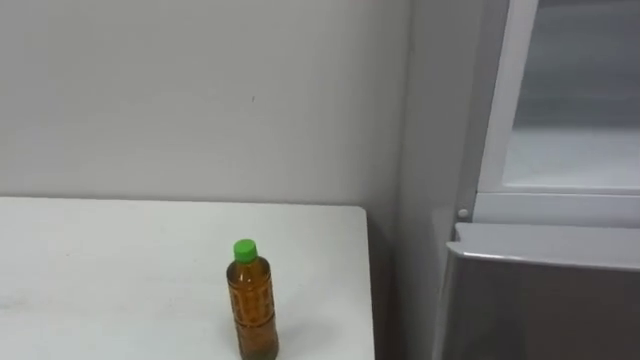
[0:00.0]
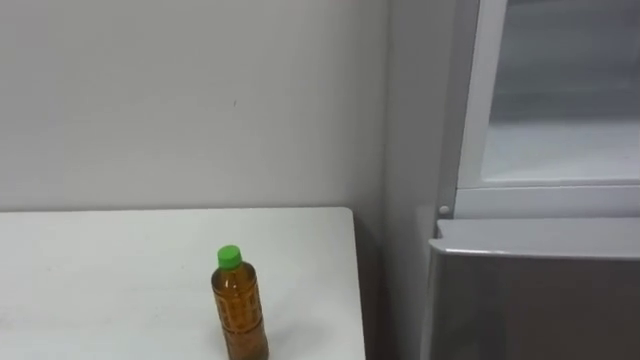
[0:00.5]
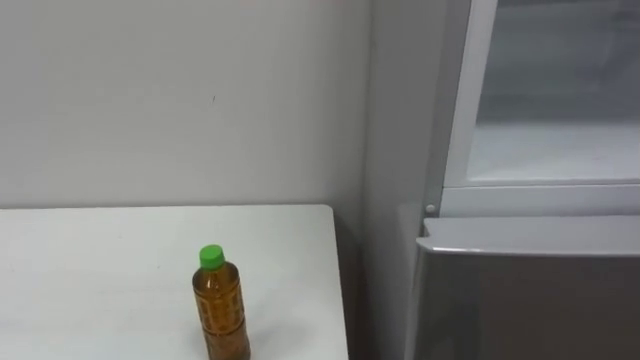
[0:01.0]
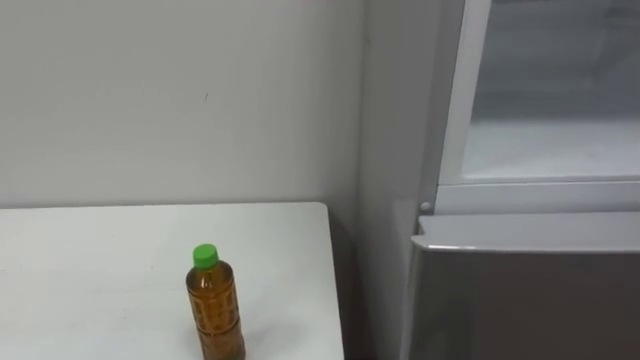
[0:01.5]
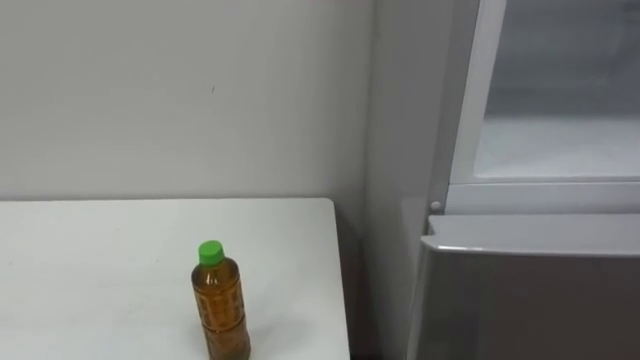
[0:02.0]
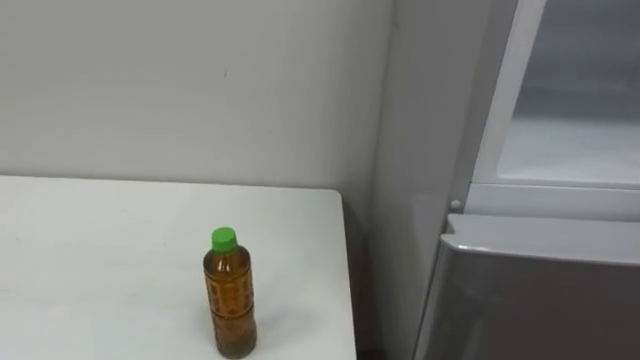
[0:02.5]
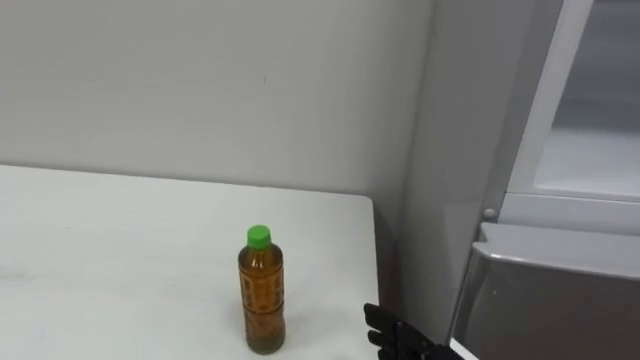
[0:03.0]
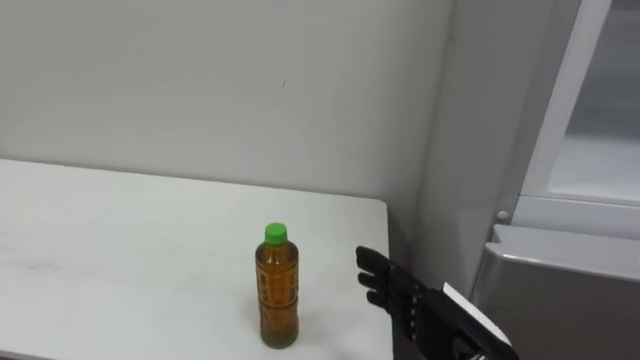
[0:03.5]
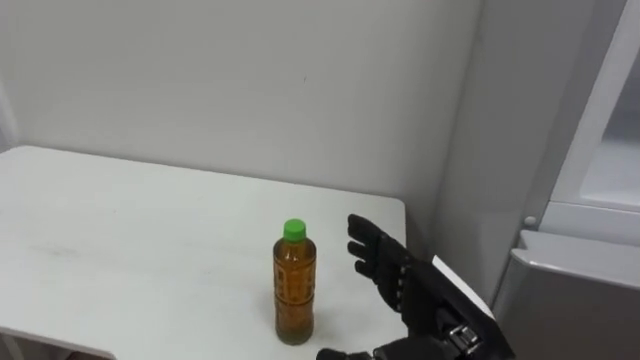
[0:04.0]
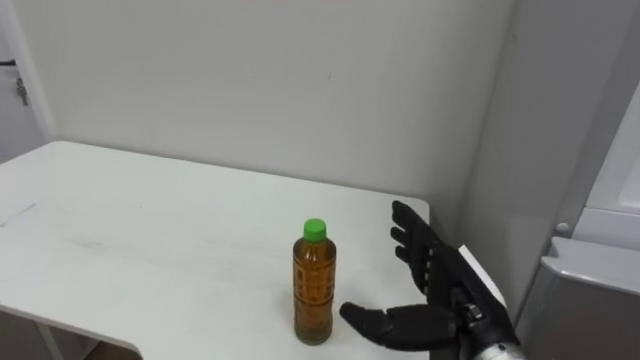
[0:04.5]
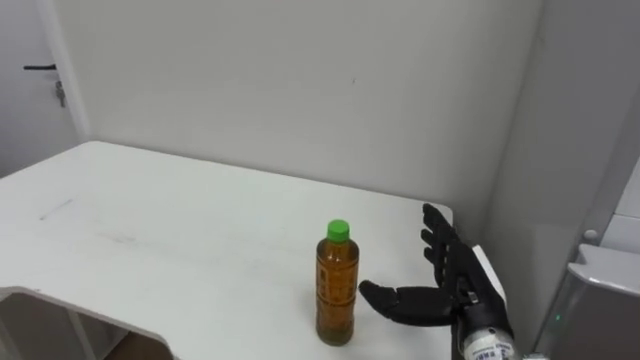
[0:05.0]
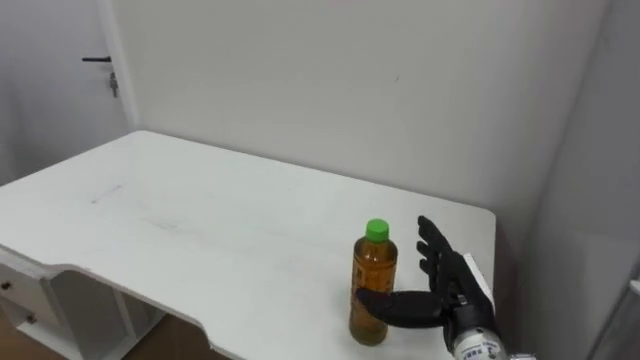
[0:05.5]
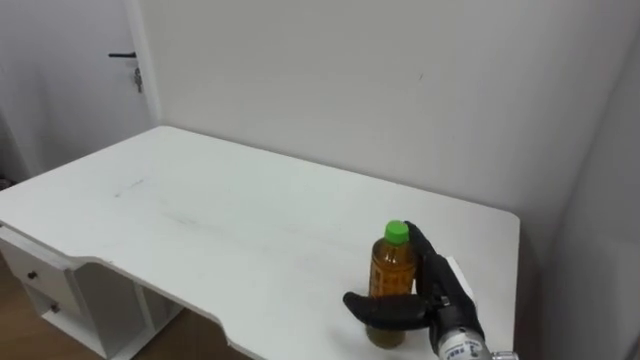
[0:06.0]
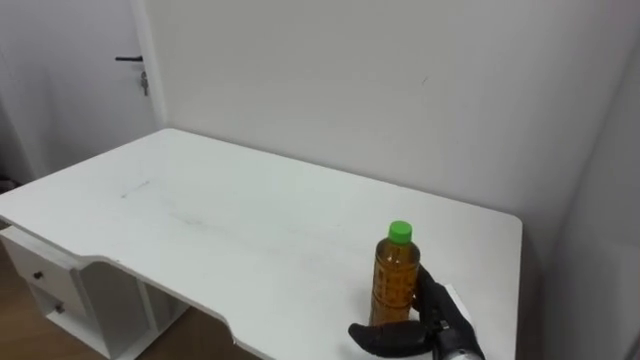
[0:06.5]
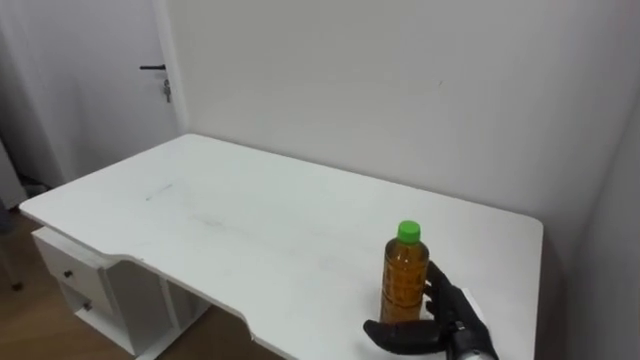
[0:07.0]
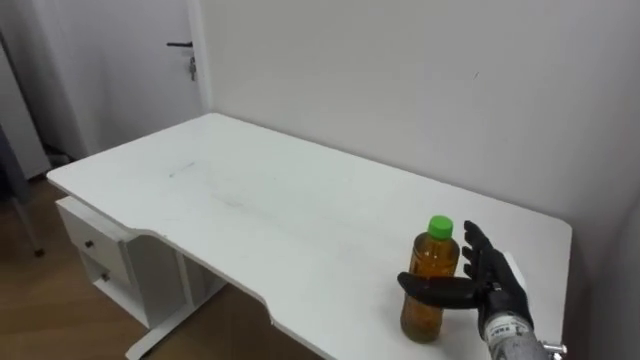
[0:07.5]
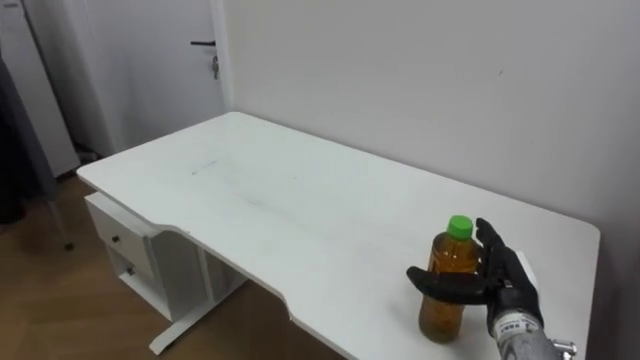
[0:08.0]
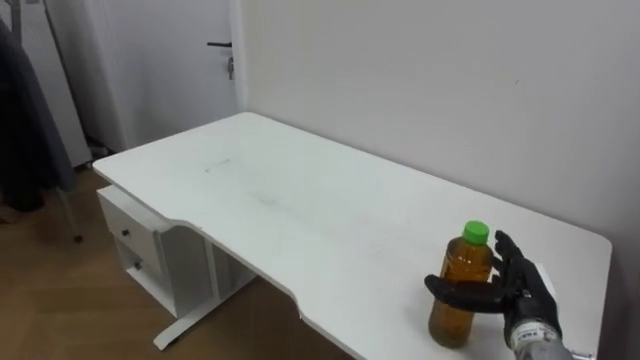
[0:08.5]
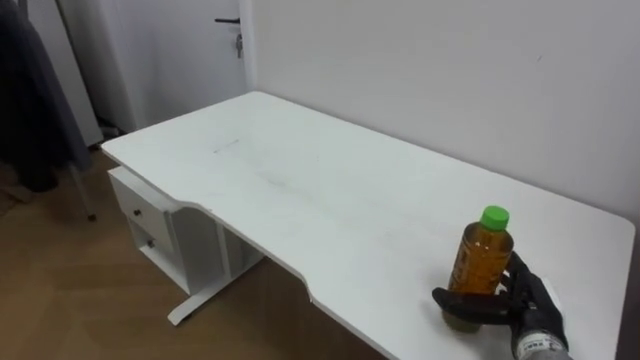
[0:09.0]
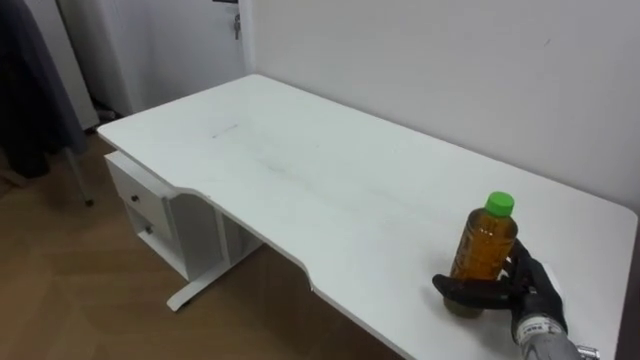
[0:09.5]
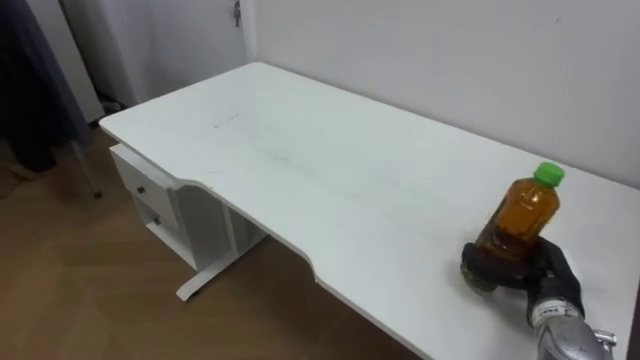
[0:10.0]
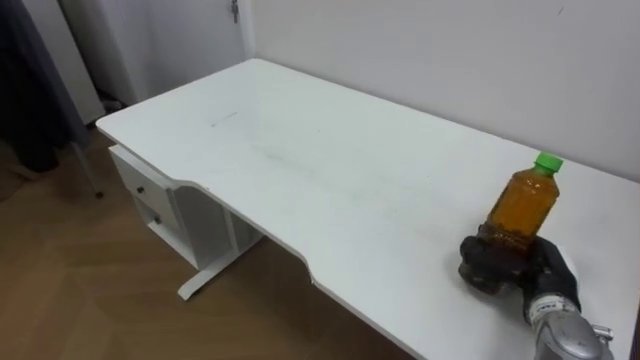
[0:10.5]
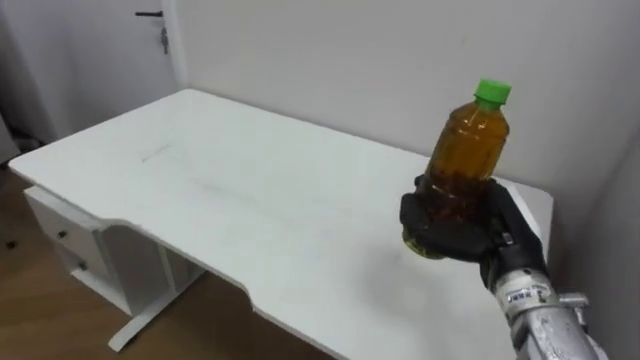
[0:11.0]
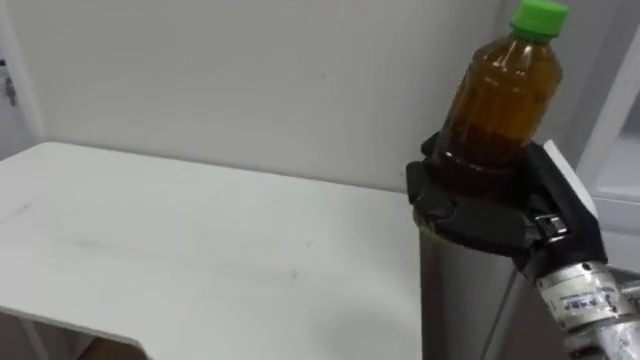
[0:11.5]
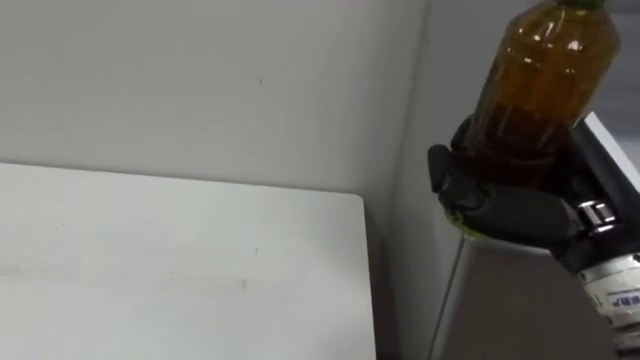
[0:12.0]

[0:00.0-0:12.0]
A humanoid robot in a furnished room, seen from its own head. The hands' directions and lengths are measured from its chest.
Task of the whole recording: Open the upper refrigerator door, put the drink from the table into the refrigerator, and then close the refrigerator door.
0:04.0 to 0:06.0: The right hand travels forward and downward by approximately 10 cm.
0:06.0 to 0:08.0: The right hand goes about 10 cm to the right.
0:08.0 to 0:10.0: The right hand is displaced to the right by roughly 5 cm.
0:10.0 to 0:12.0: The right hand moves upward and backward, some 25 cm, and closes.

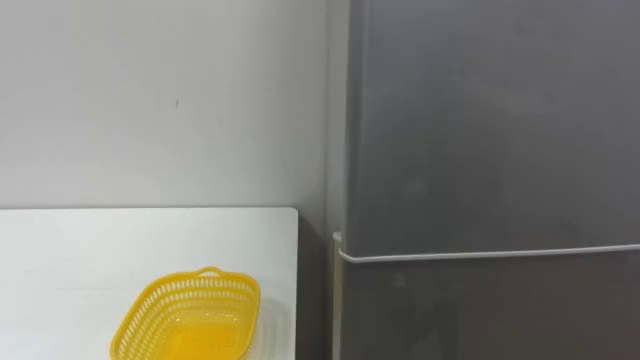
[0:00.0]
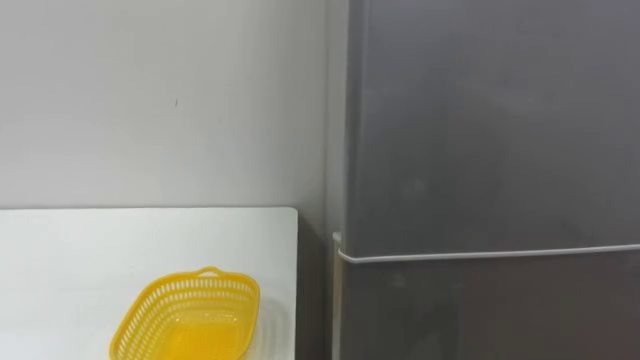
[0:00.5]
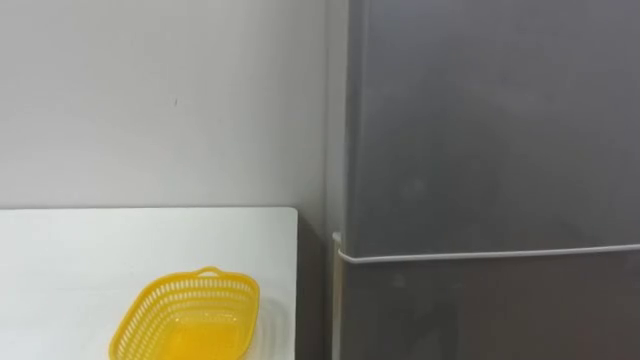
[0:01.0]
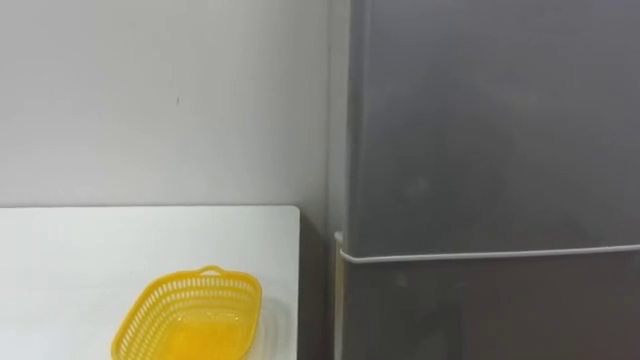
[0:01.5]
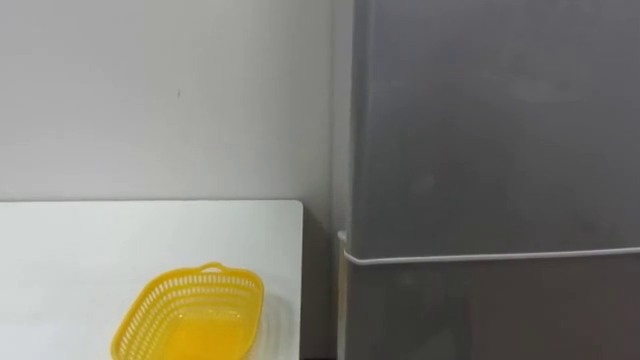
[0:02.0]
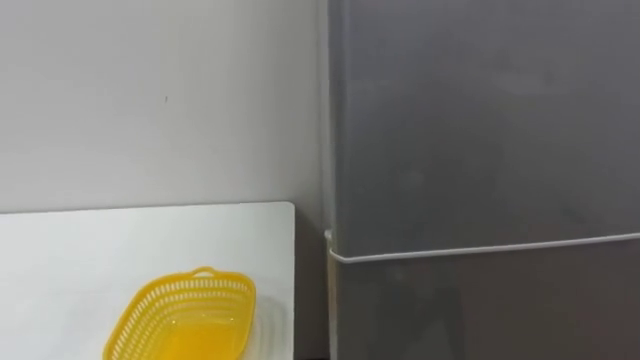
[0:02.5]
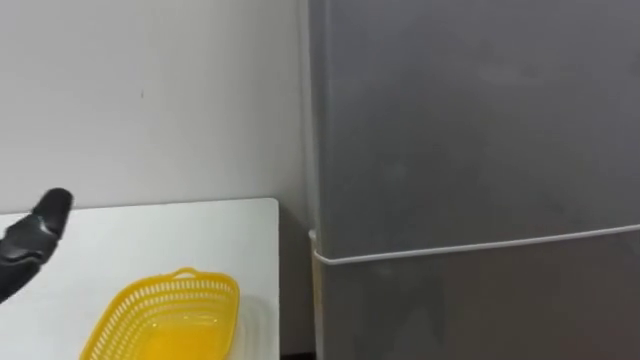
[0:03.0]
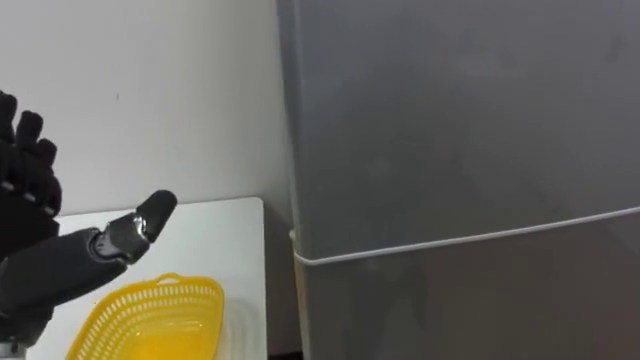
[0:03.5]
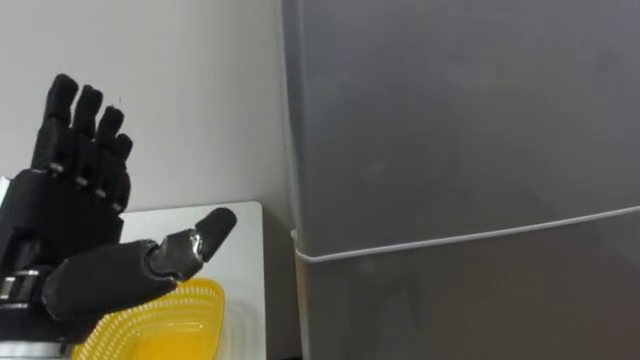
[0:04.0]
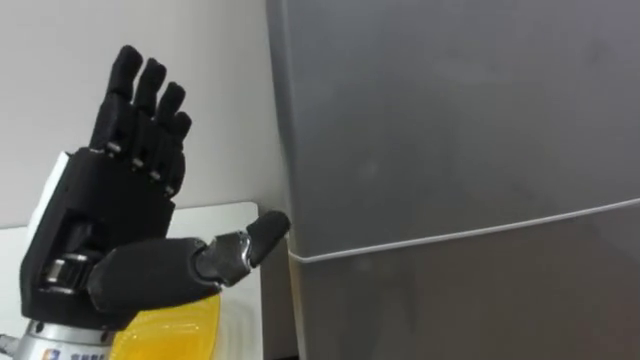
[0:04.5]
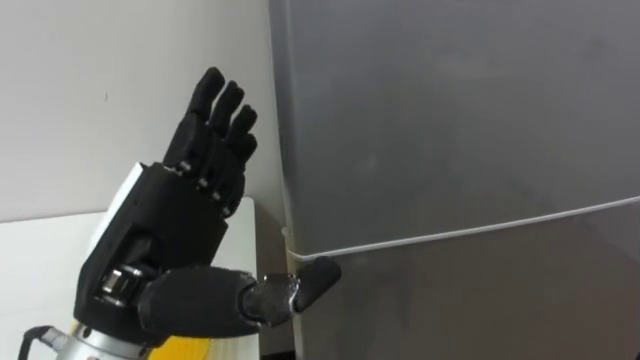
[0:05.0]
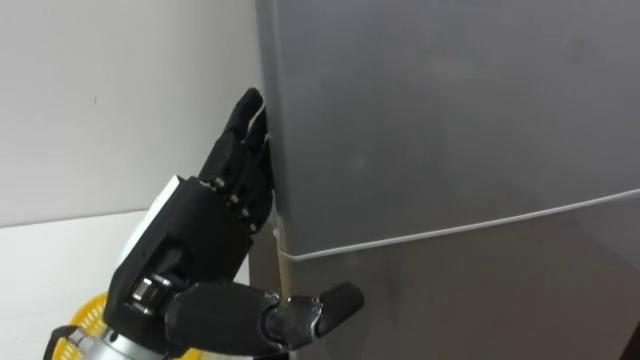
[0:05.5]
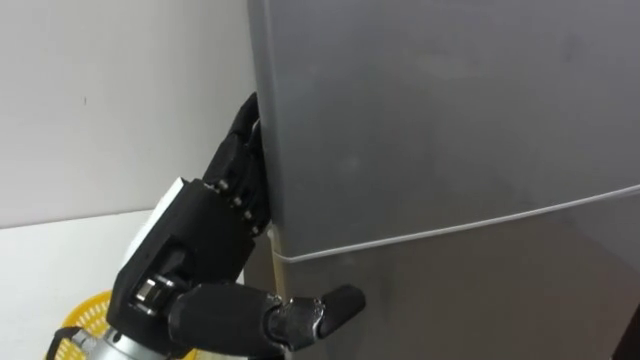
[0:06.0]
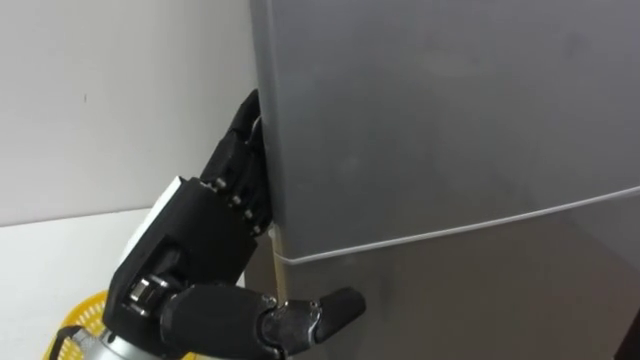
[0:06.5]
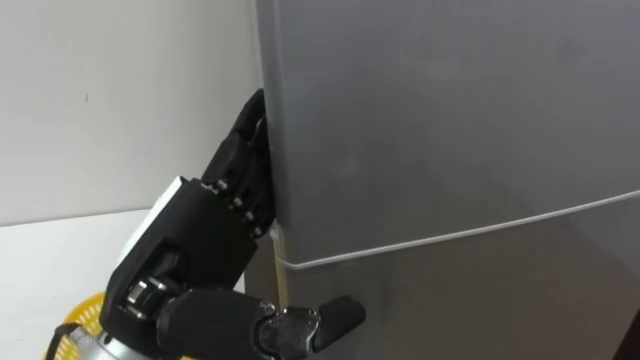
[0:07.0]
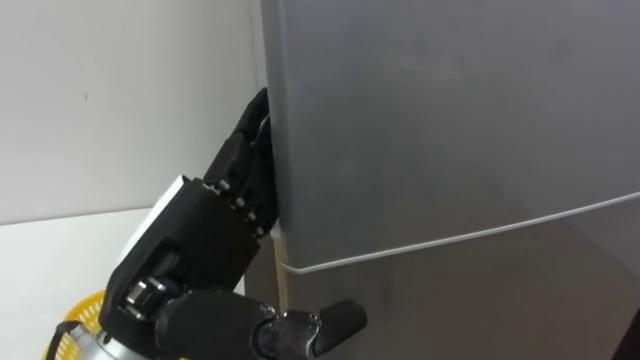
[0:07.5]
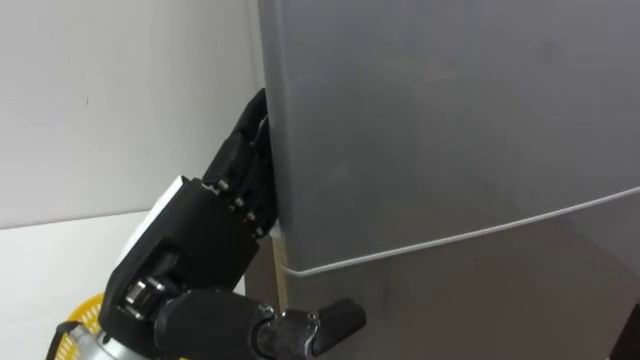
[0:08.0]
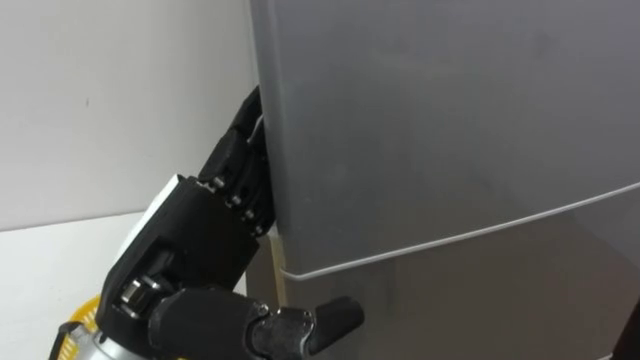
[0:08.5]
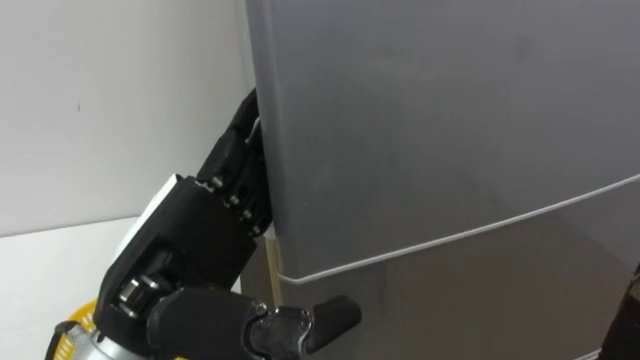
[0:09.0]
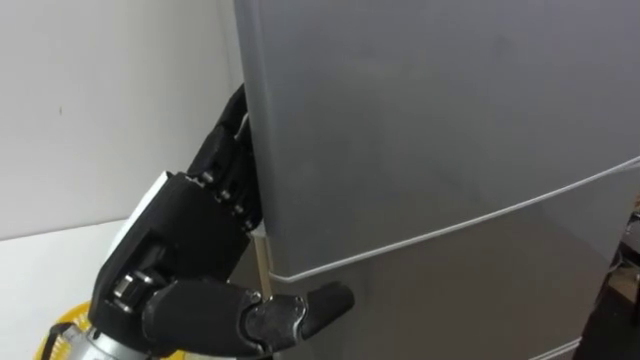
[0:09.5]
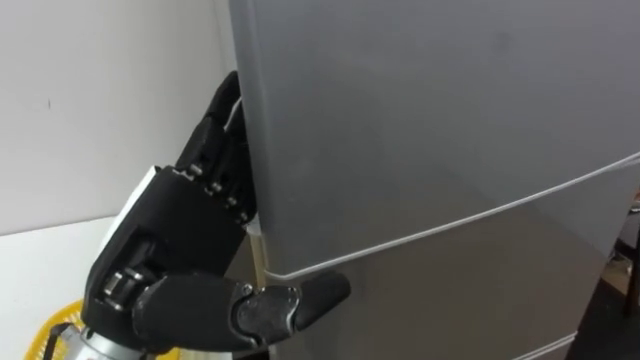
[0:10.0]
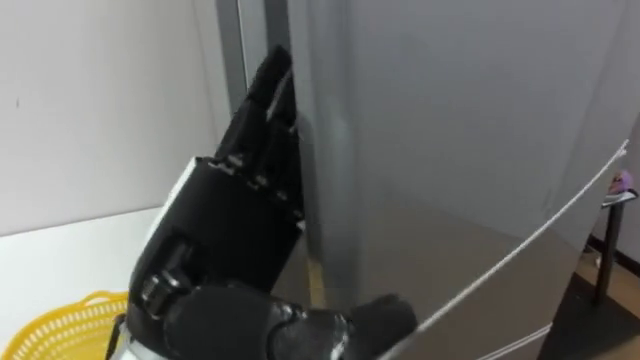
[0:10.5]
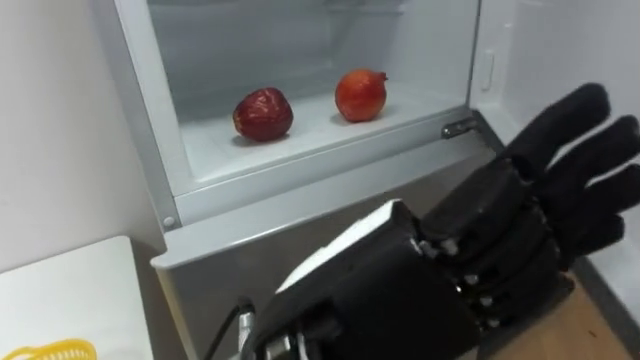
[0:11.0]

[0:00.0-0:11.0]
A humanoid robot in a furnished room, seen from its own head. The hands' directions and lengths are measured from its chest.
Task of the whole recording: Open the refrigerator door, take out the apple and the pomegranate, place them in the fruit basket on the left, and close the refrigerator door.
0:09.0 to 0:11.0: The left hand goes roughly 15 cm to the right and backward.
